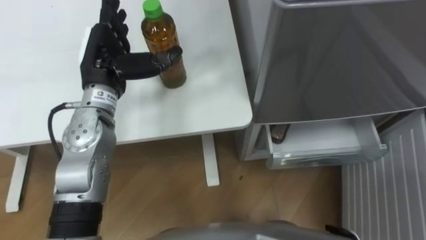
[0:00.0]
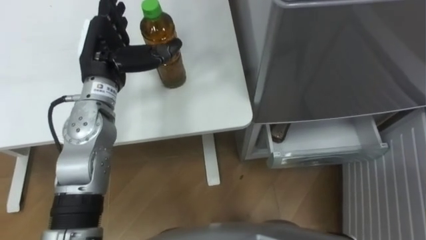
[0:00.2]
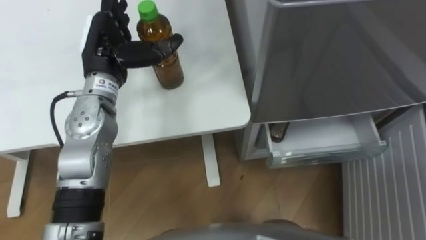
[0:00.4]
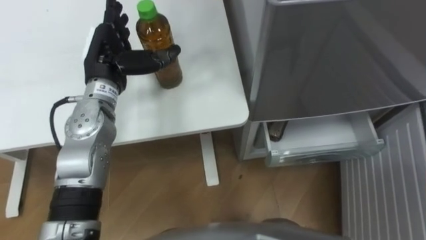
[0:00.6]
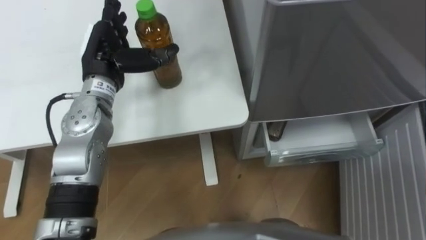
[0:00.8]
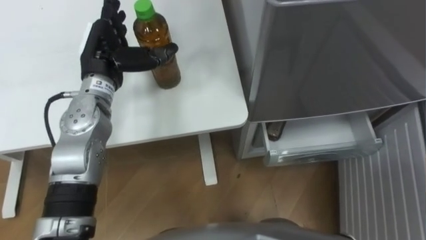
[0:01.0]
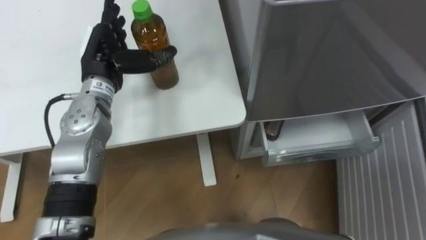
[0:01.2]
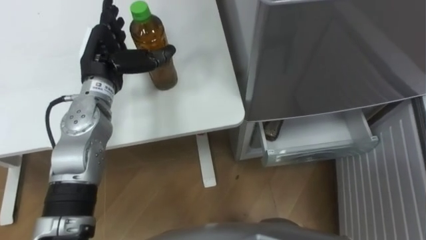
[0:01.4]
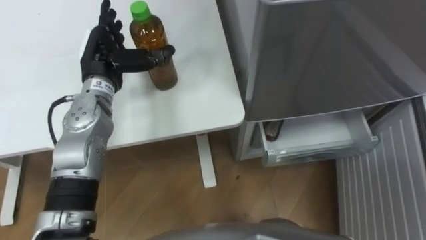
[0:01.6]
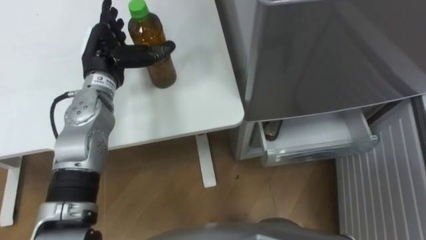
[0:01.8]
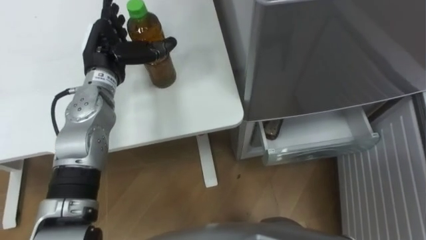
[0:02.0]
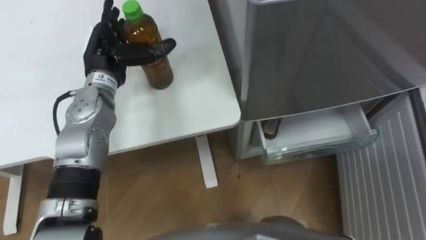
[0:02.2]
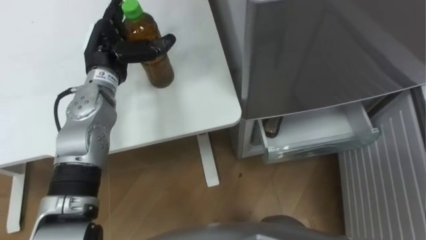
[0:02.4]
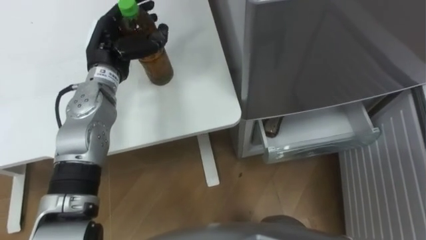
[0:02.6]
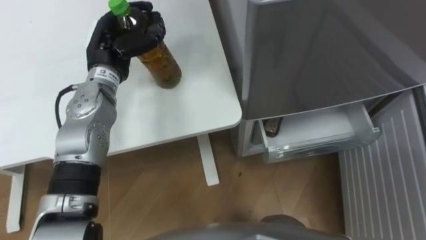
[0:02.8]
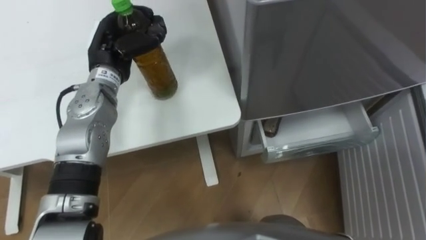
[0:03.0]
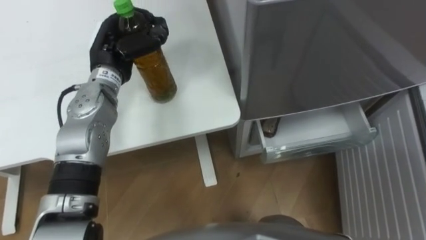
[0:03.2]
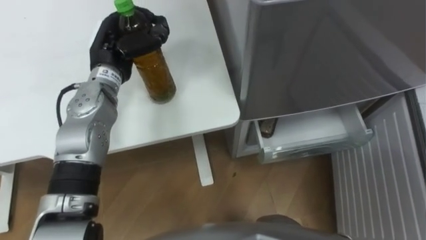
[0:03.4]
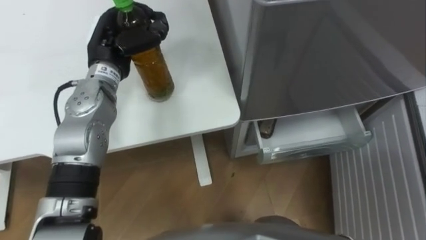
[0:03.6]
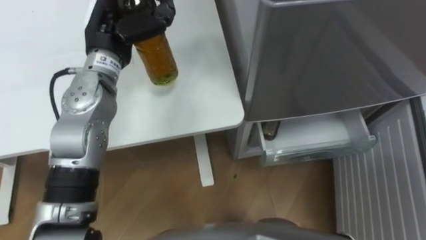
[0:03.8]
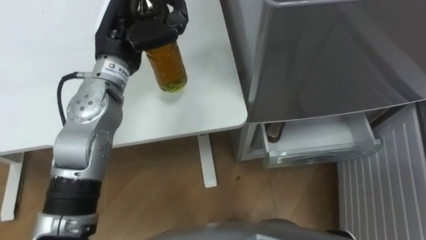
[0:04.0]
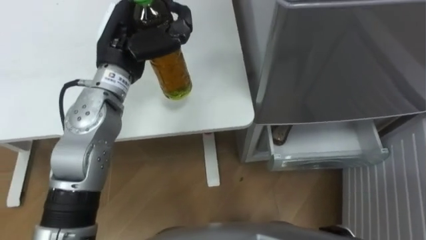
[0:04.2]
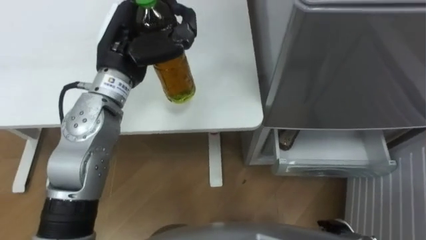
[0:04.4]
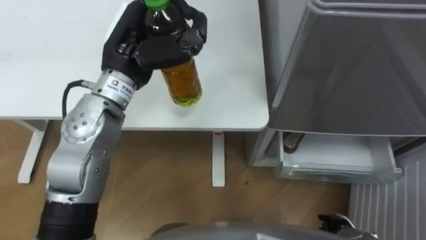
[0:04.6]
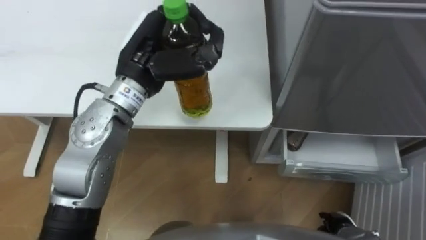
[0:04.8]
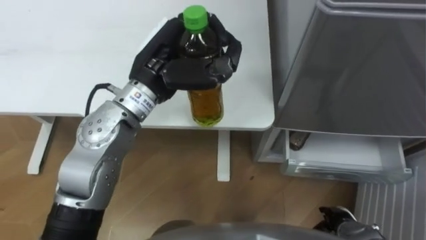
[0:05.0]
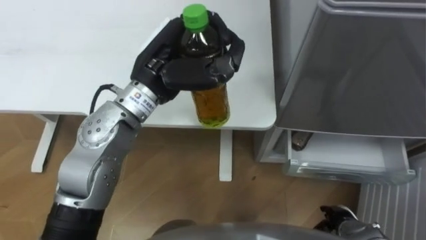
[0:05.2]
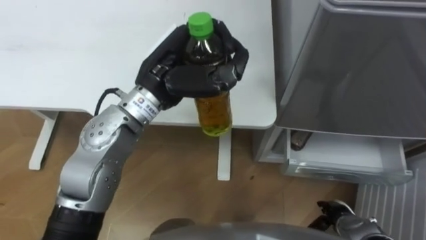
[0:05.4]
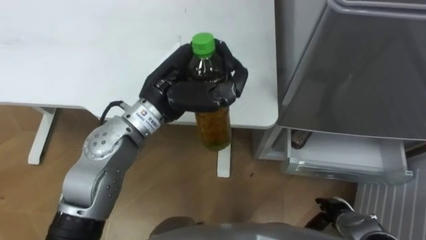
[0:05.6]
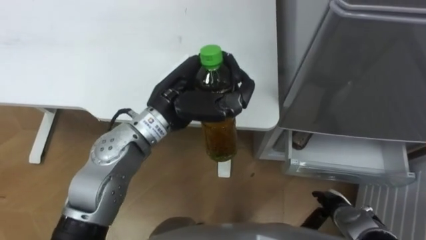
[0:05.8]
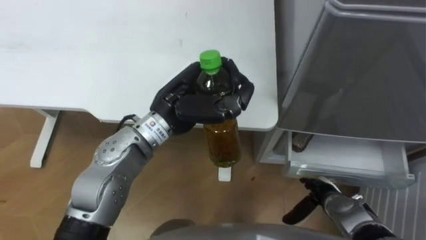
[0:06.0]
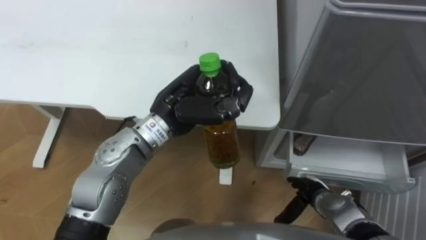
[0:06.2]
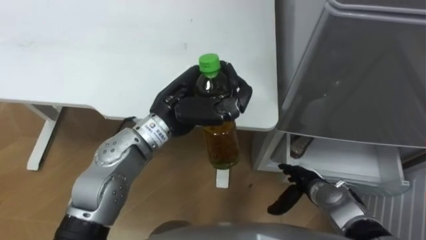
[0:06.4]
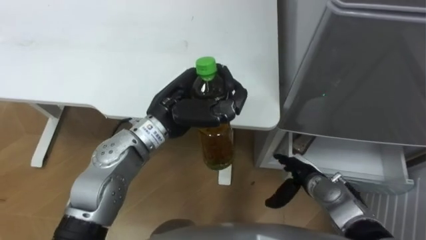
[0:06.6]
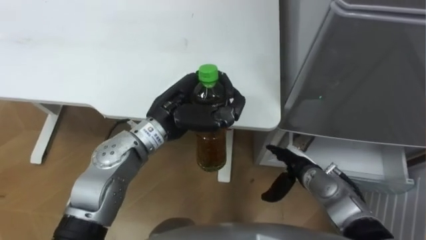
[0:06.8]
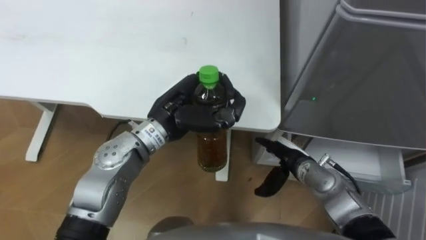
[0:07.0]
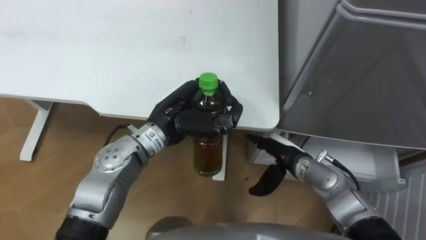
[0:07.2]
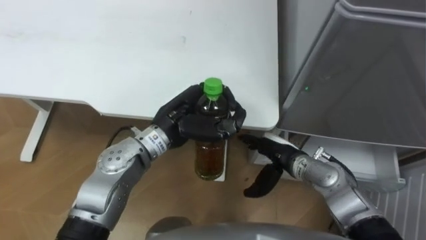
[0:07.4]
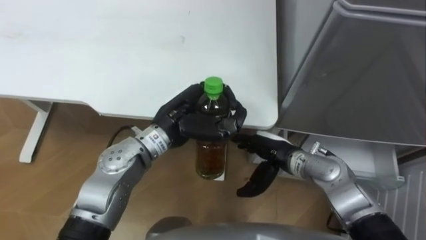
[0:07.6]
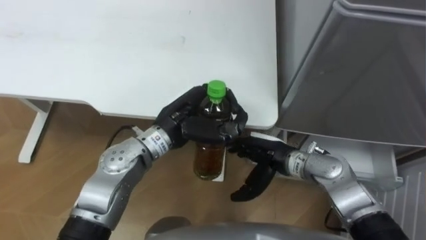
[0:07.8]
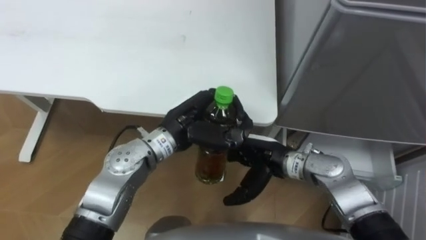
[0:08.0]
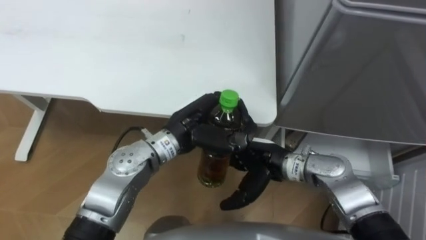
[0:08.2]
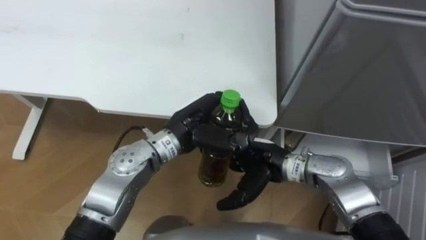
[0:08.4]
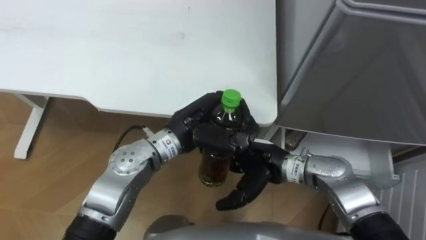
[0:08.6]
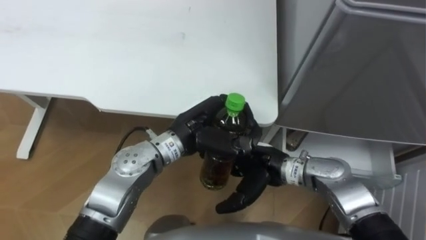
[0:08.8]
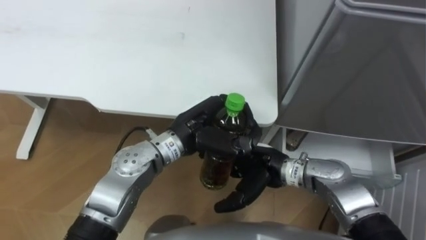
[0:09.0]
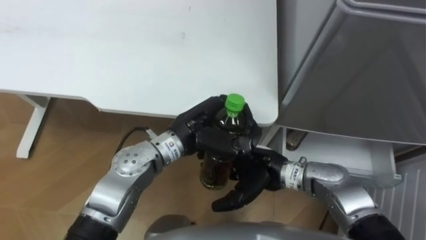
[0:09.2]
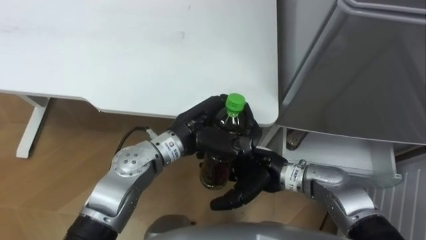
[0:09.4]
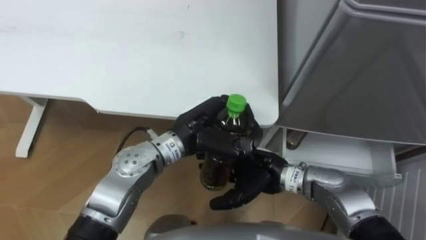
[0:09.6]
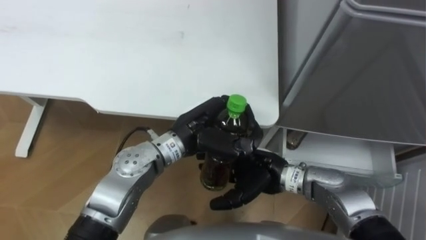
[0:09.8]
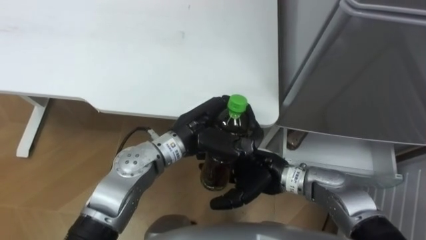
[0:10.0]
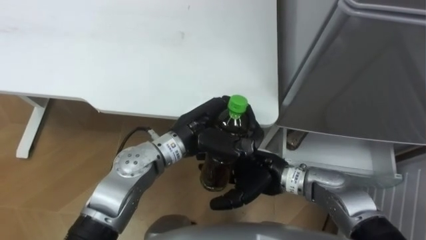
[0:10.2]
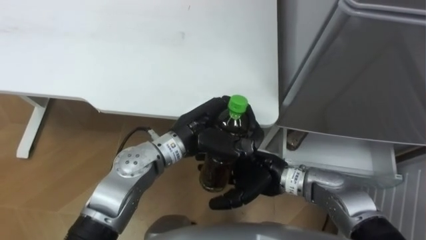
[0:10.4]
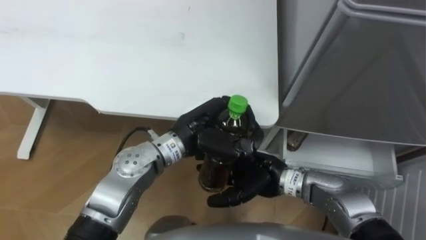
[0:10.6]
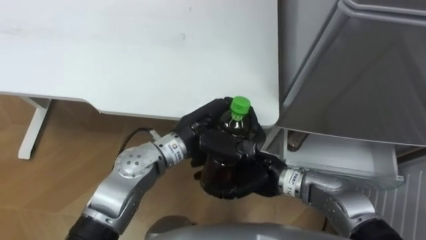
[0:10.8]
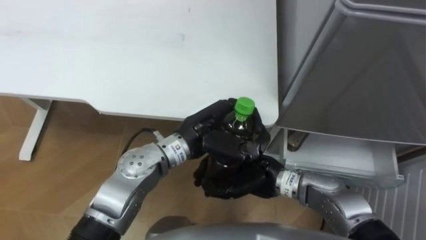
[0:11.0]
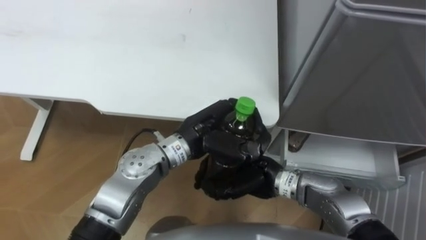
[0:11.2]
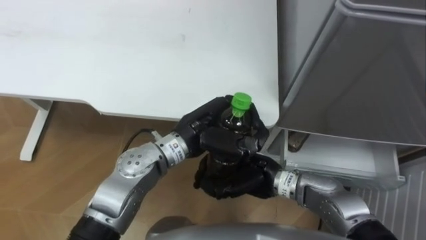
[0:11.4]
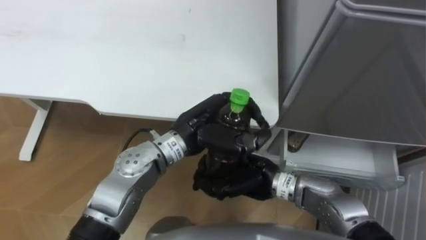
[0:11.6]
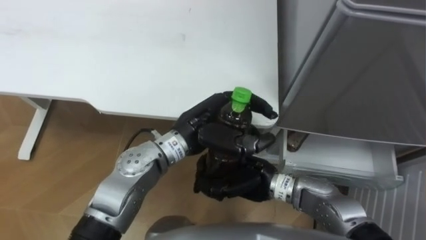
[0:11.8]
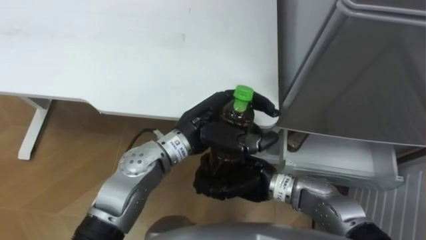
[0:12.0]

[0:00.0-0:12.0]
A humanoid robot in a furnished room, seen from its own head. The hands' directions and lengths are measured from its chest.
Task of the whole recording: Place the drink on the table on the bottom shelf of the refrigerator, then close the drawer and the refrigerator door.
0:01.6 to 0:03.0: The left hand closes its fingers.
0:03.0 to 0:04.4: The left hand travels upward by roughly 5 cm.
0:04.4 to 0:06.0: The right hand shifts approximately 10 cm forward, while the left hand travels to the right, backward and downward by approximately 10 cm.
0:06.0 to 0:07.6: The right hand travels to the left, upward and forward by approximately 20 cm.
0:07.6 to 0:09.0: The right hand shifts by approximately 5 cm.
0:09.0 to 0:10.4: The hands make only small movements.
0:10.4 to 0:12.0: The right hand closes up.

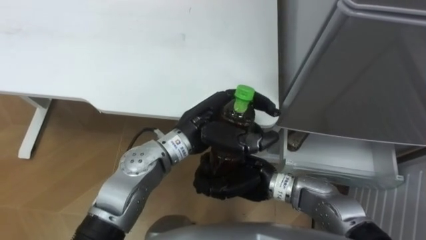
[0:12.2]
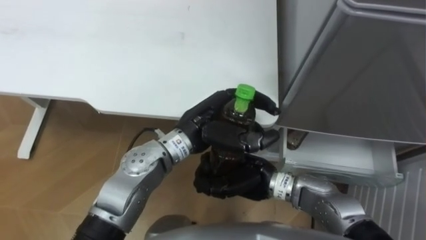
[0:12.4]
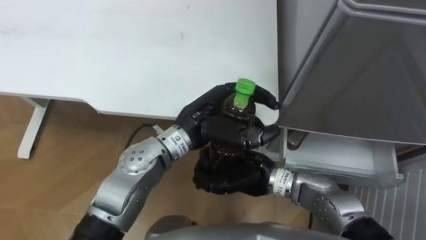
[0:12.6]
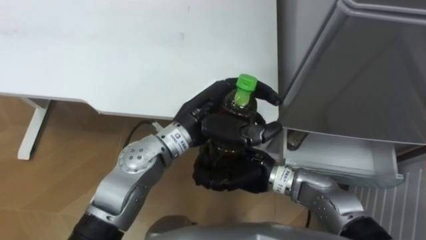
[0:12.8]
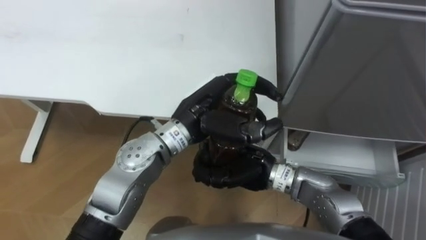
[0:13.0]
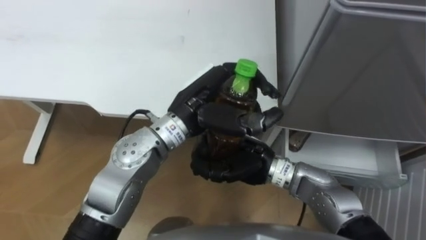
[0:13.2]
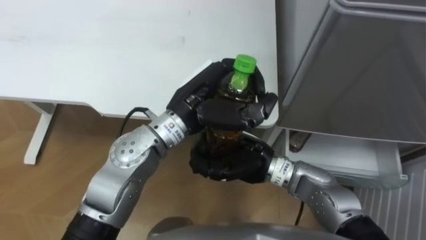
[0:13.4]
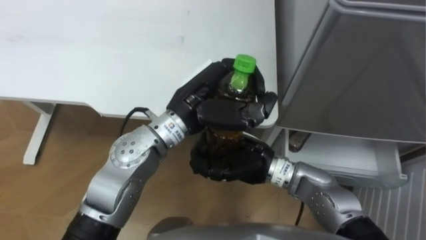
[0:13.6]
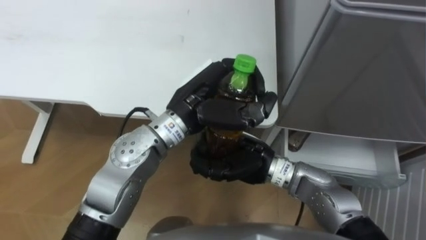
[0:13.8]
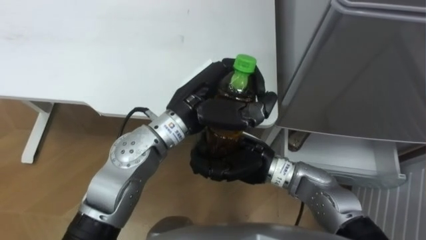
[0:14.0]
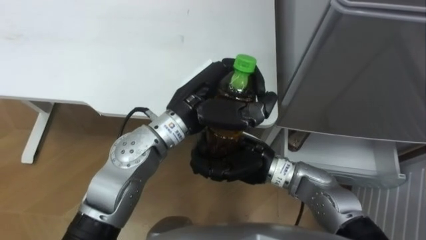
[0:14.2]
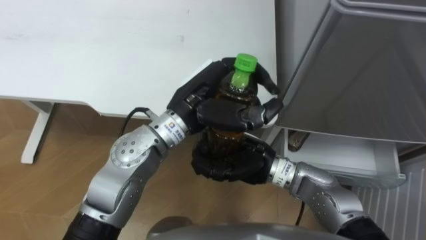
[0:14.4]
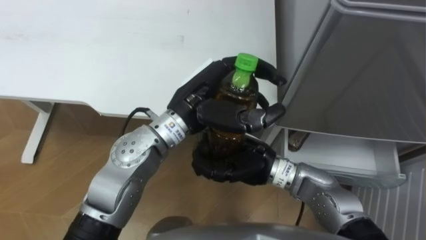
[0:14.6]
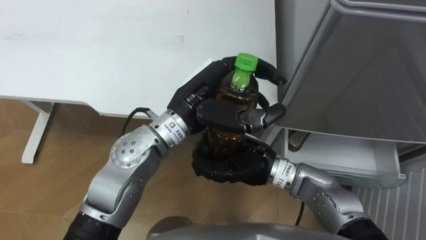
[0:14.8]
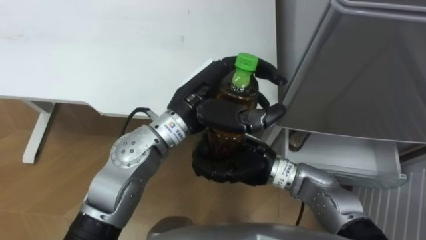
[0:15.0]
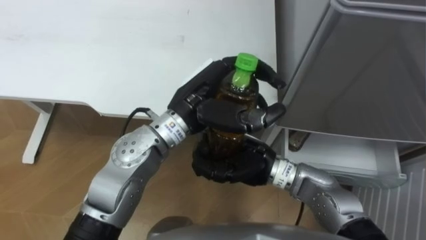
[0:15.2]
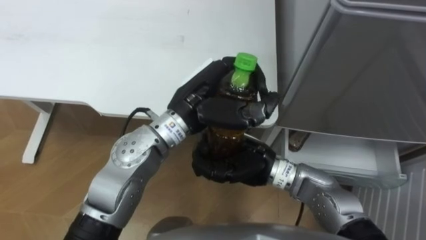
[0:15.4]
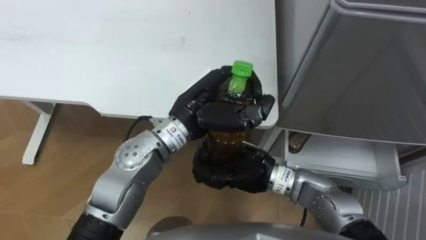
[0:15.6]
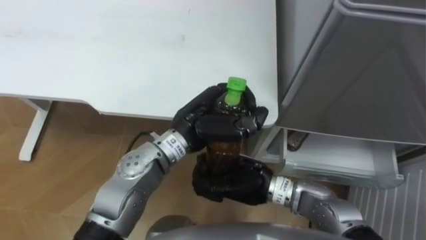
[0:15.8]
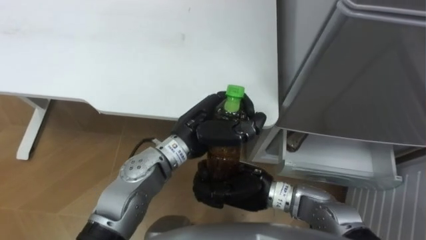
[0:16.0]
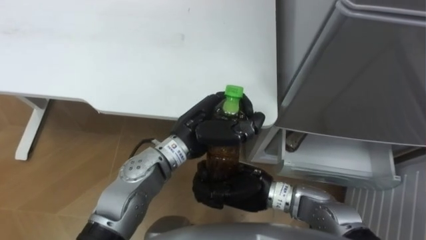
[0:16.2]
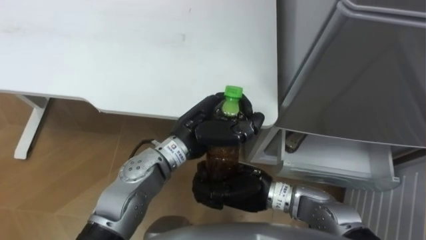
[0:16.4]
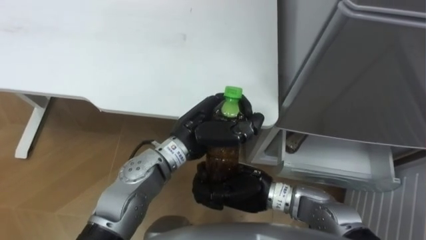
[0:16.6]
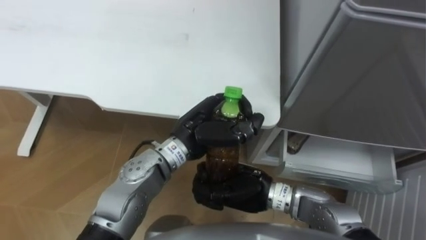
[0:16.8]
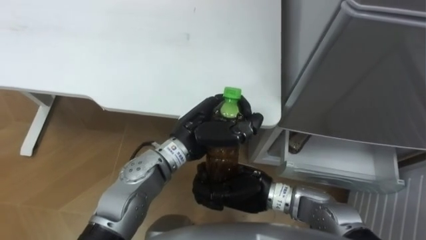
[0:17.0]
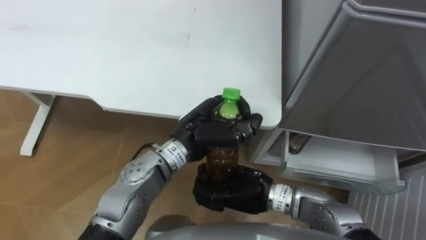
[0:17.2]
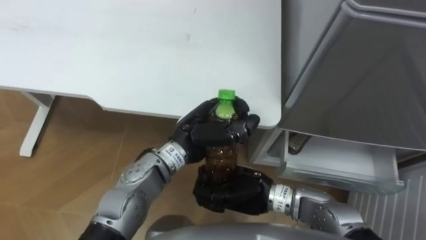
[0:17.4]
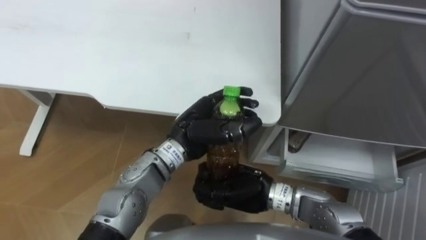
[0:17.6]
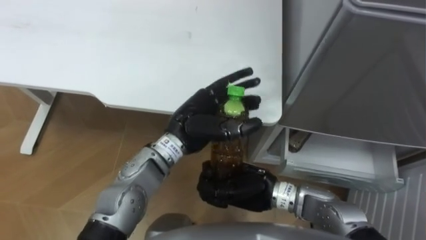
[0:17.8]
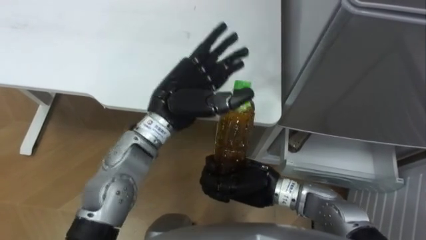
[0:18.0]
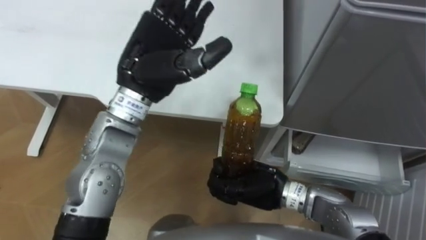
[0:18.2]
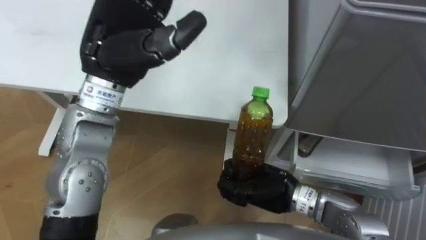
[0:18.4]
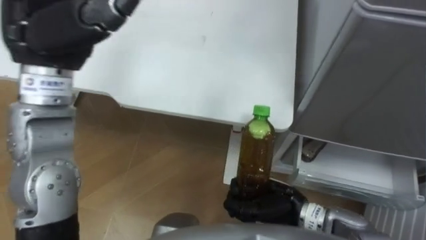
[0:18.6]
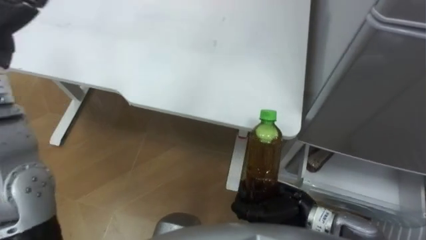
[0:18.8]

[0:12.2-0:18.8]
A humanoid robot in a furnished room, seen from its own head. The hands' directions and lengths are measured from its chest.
Task of the whole recording: Place the drink on the table on the bottom shelf of the refrigerator, then close the drawer and the refrigerator door.
0:12.2 to 0:13.8: The left hand is displaced upward by roughly 5 cm.
0:13.8 to 0:15.4: The two hands keep their place.
0:15.4 to 0:17.2: The right hand ends up roughly 5 cm from where it was. The left hand is displaced downward by approximately 10 cm.
0:17.2 to 0:18.8: The right hand shifts about 10 cm to the right.
